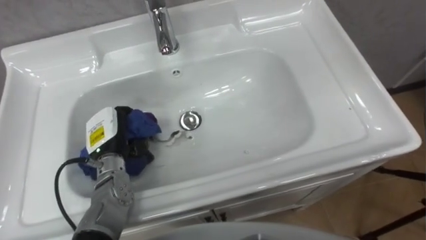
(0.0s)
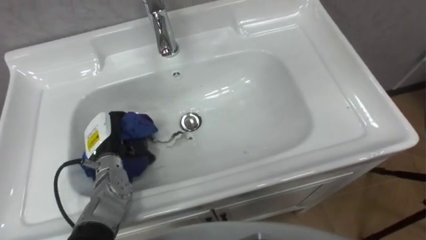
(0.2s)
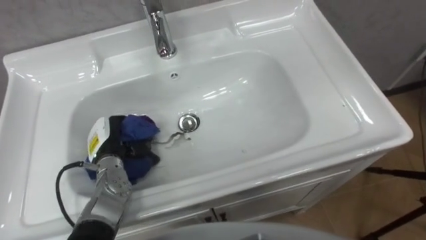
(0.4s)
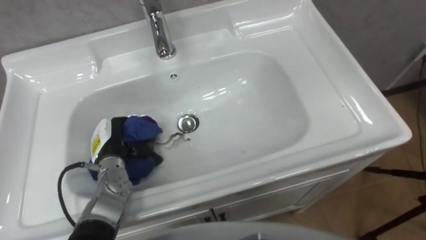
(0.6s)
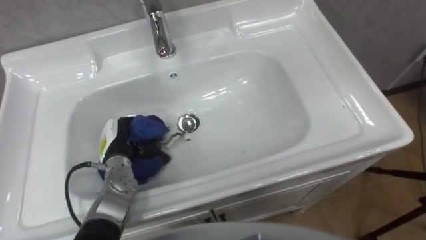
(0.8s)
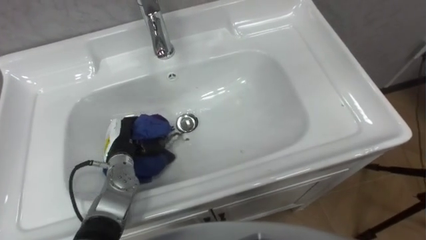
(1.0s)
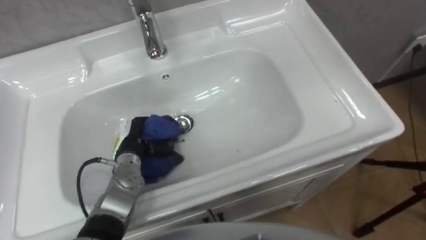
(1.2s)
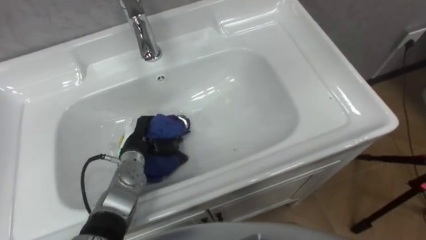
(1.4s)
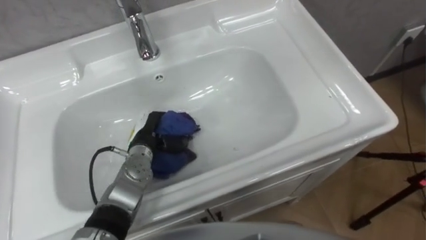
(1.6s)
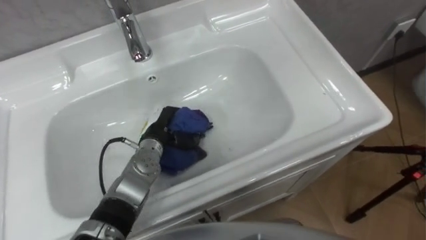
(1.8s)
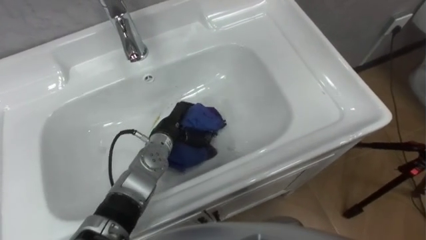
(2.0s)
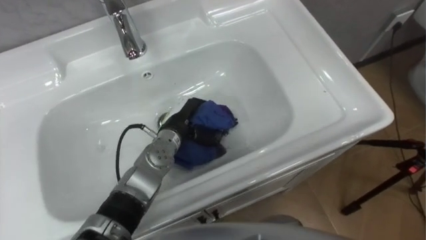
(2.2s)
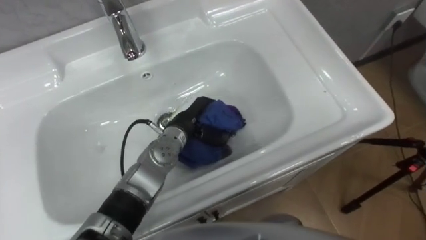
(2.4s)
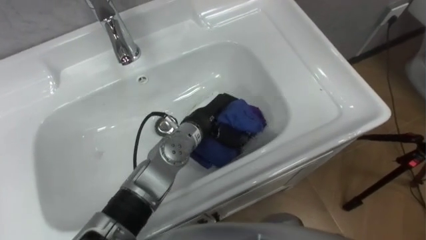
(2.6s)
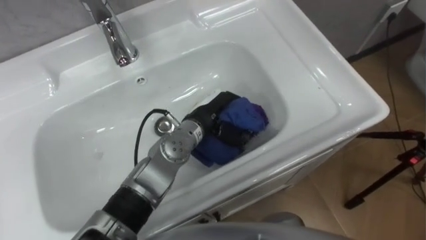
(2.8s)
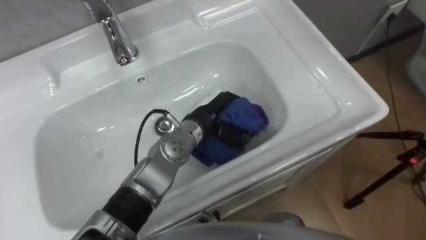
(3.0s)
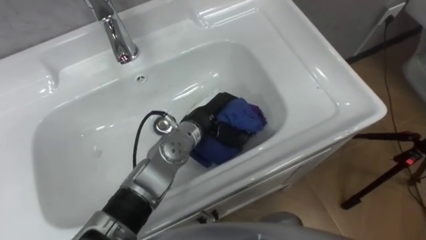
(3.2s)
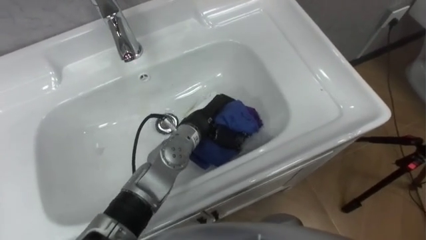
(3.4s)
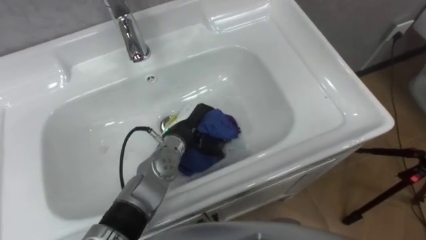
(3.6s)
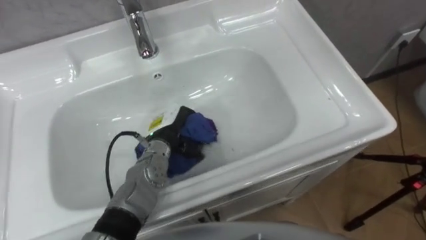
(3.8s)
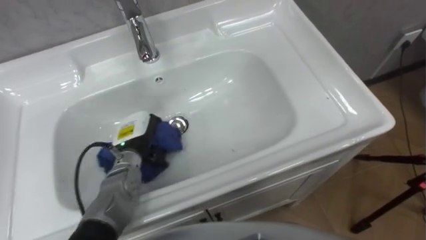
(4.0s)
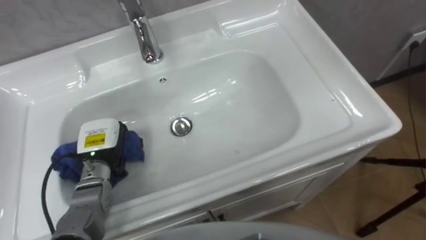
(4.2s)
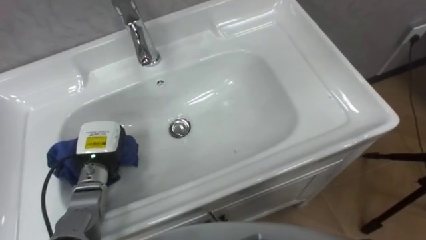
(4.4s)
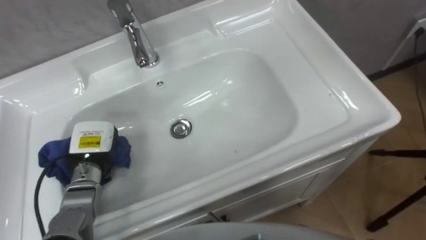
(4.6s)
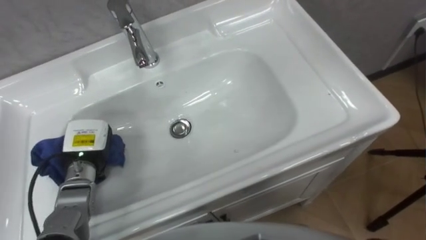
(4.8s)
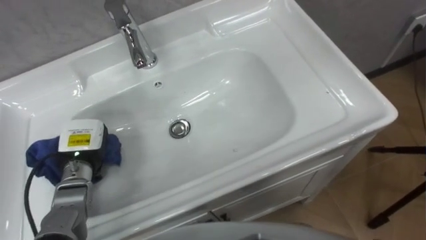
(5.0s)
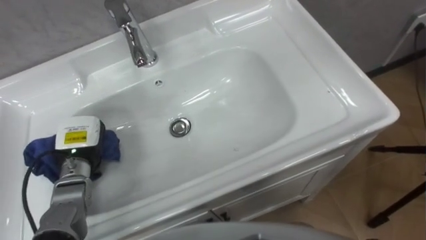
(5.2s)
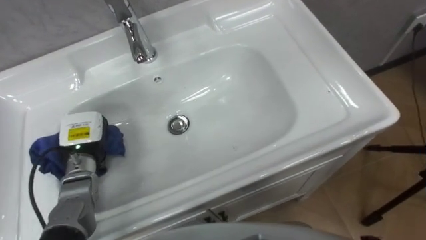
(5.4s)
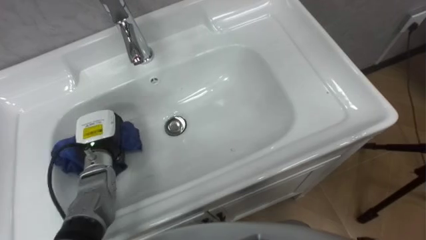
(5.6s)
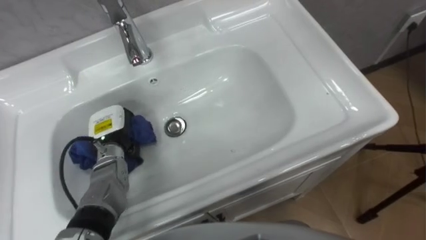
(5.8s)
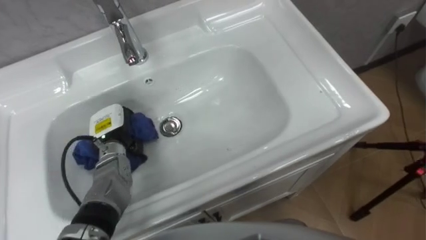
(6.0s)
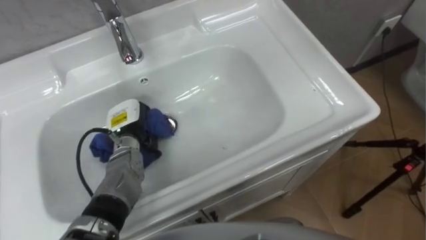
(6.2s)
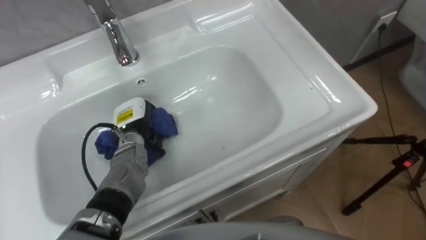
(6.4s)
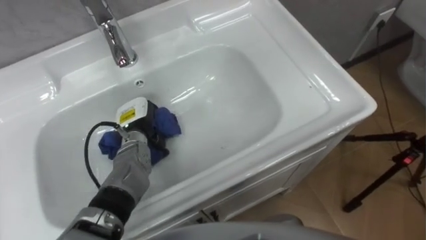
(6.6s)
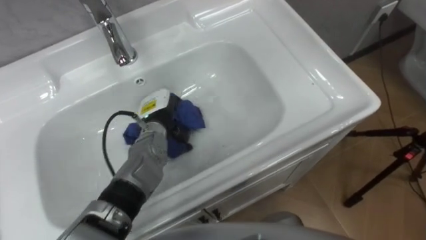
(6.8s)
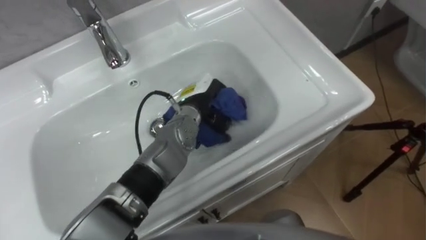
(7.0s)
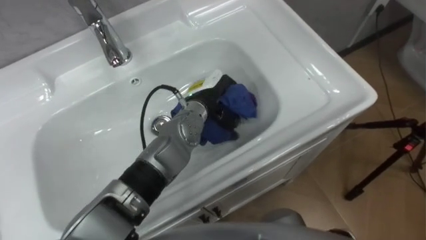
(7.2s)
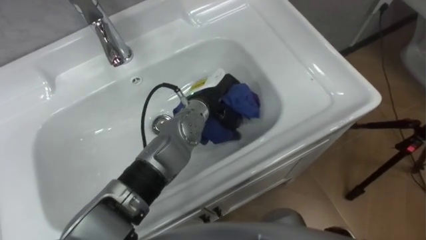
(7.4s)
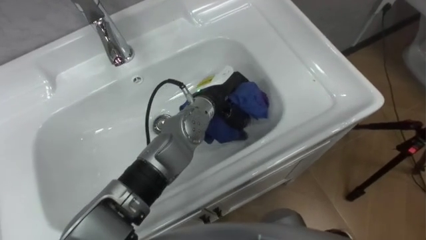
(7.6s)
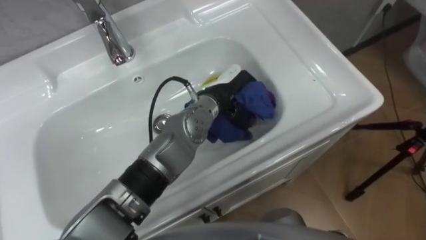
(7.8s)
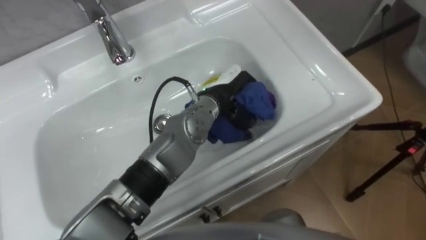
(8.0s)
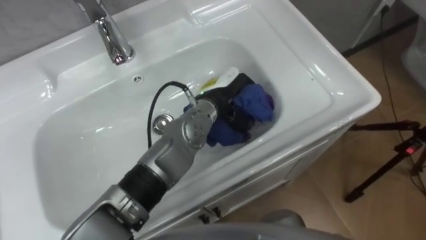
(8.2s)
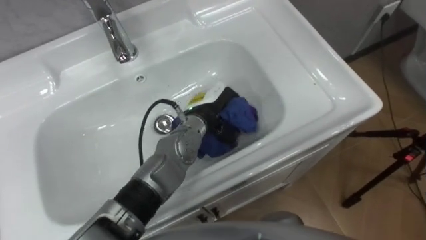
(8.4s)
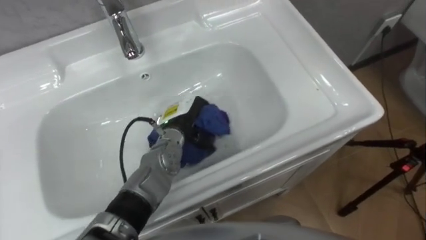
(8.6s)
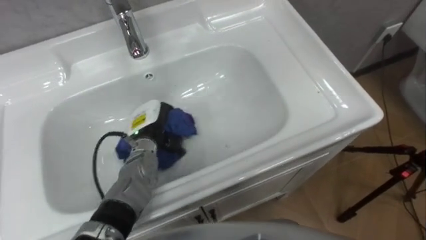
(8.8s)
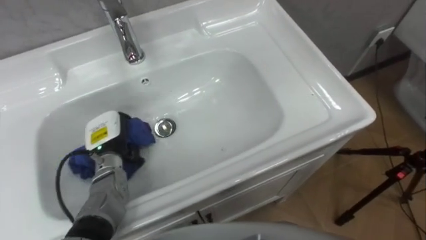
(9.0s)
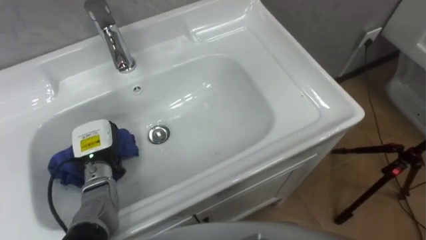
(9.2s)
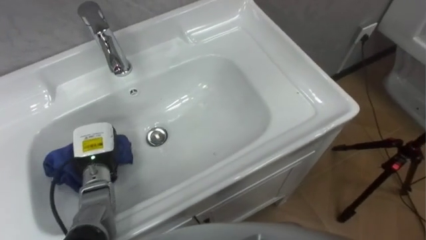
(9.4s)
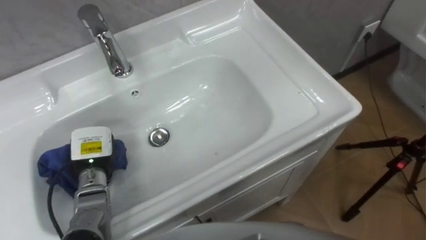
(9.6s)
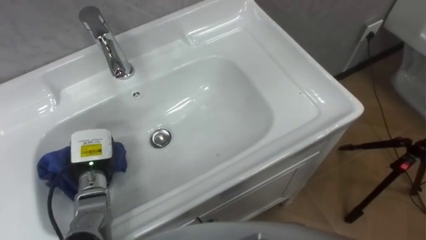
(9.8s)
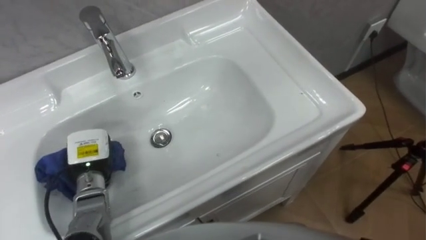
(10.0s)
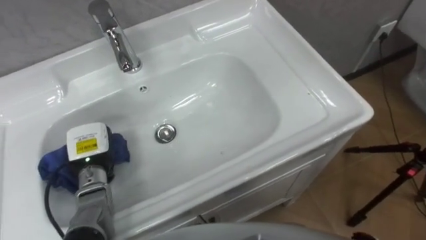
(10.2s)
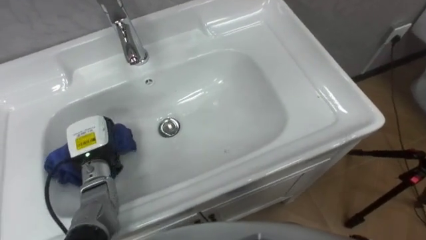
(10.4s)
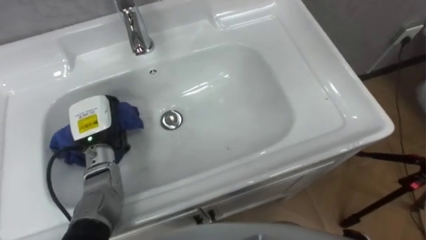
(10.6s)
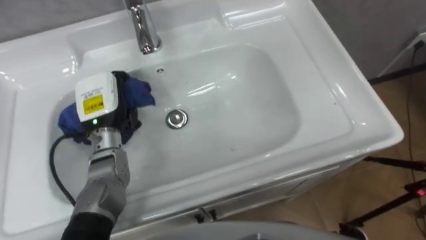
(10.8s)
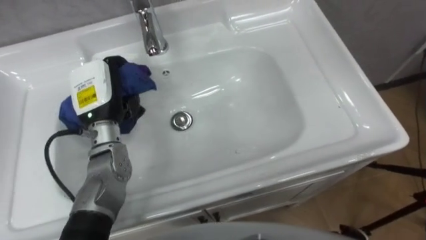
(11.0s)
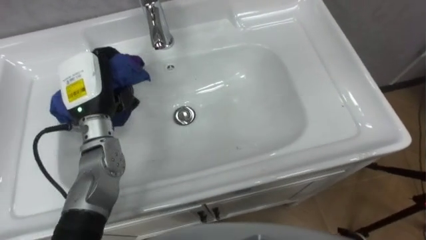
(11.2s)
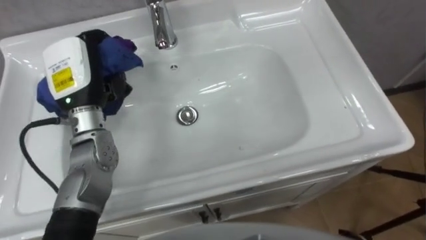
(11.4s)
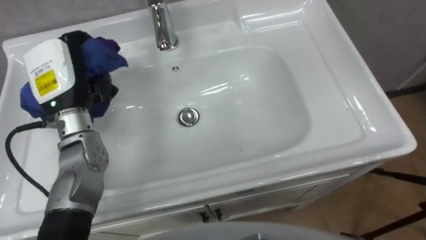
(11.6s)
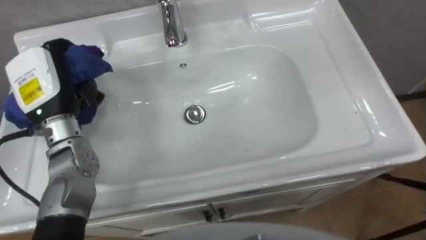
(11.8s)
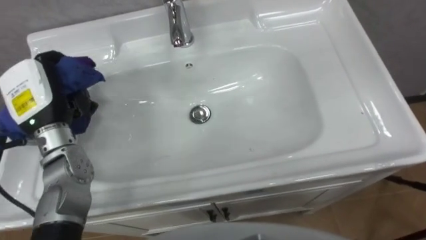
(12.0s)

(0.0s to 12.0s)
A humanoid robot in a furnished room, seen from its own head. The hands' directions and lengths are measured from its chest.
Task of the whole recording: Use the cloth on the right to wipe away the black stain in the sink.
0.0s - 1.6s: The left hand travels to the right by some 5 cm.
1.6s - 3.0s: The left hand moves to the right and upward, approximately 15 cm.
3.0s - 4.4s: The left hand moves to the left, approximately 25 cm.
6.0s - 7.6s: The left hand heads to the right, covering some 25 cm.
7.6s - 9.0s: The left hand is displaced to the left by approximately 25 cm.
10.4s - 12.0s: The left hand goes about 15 cm upward.

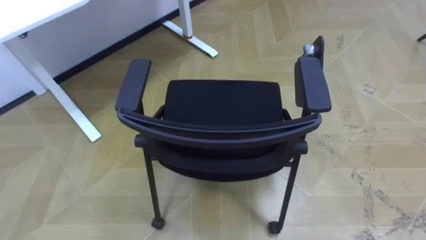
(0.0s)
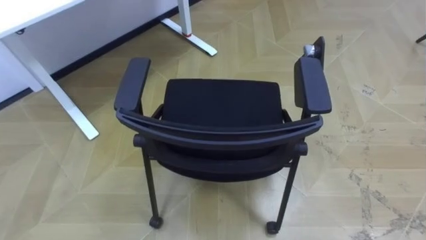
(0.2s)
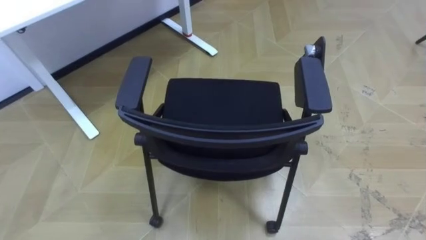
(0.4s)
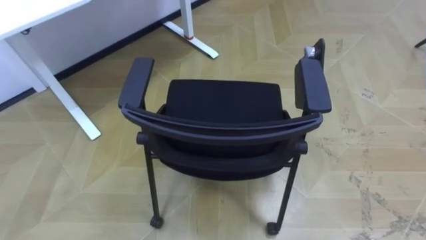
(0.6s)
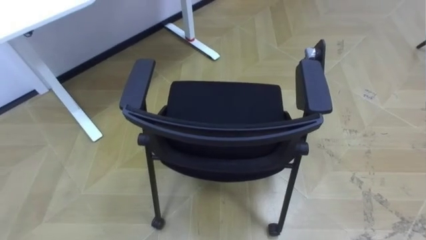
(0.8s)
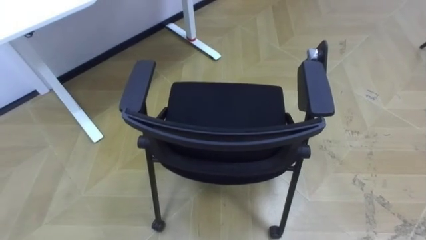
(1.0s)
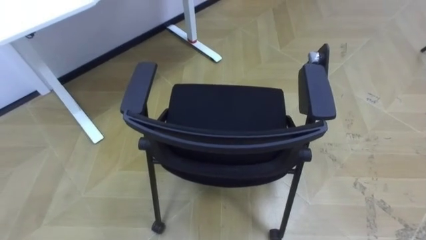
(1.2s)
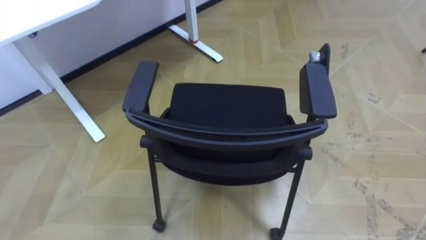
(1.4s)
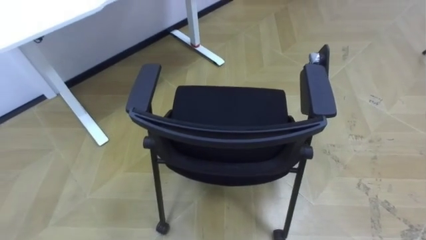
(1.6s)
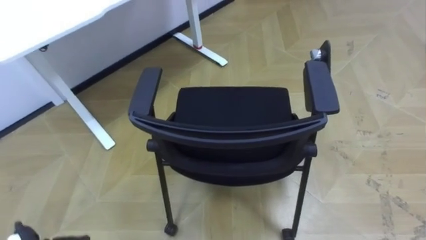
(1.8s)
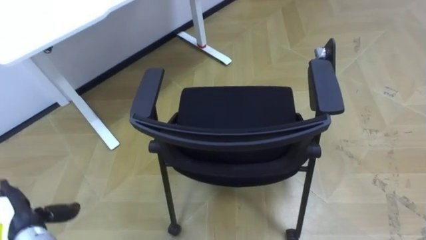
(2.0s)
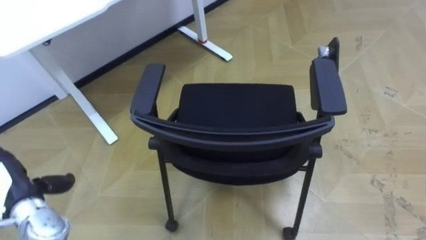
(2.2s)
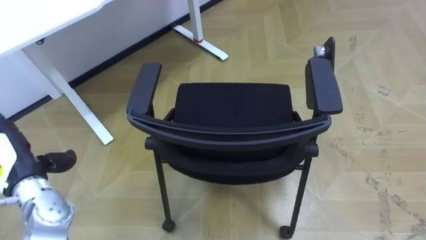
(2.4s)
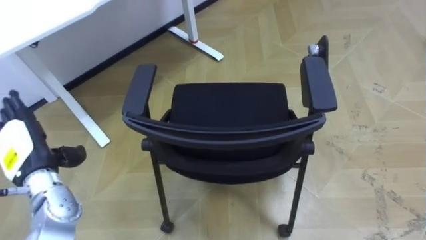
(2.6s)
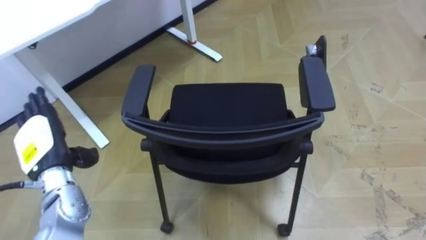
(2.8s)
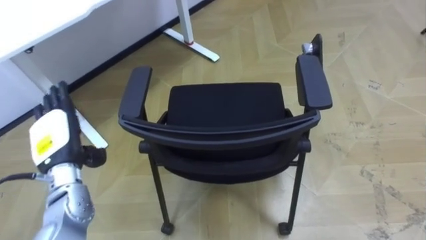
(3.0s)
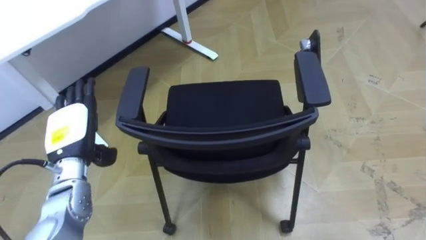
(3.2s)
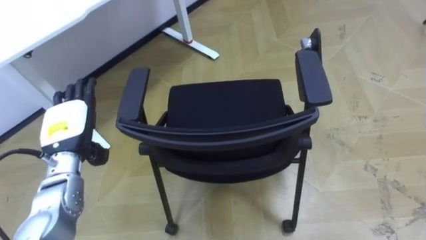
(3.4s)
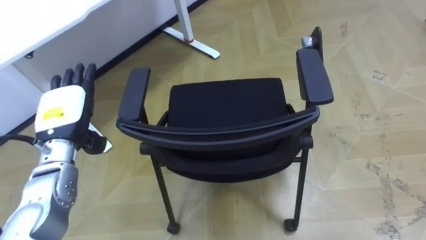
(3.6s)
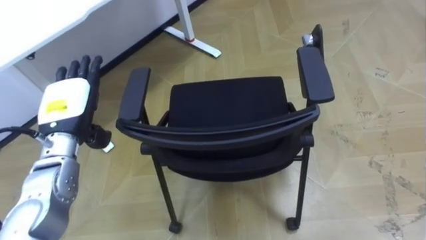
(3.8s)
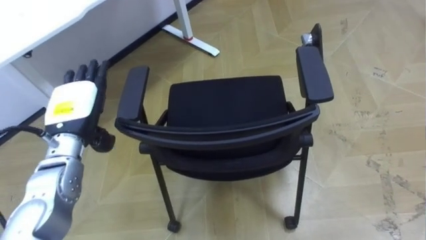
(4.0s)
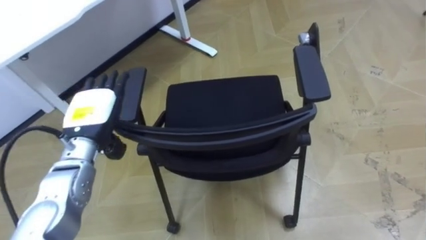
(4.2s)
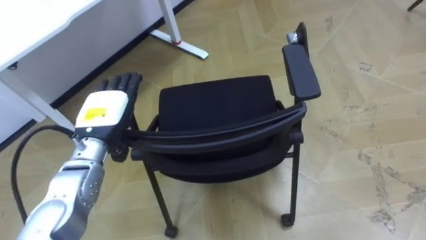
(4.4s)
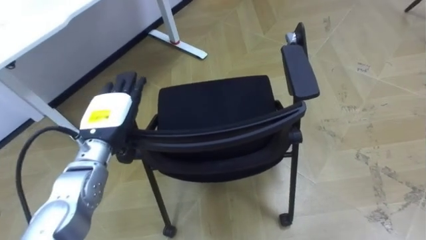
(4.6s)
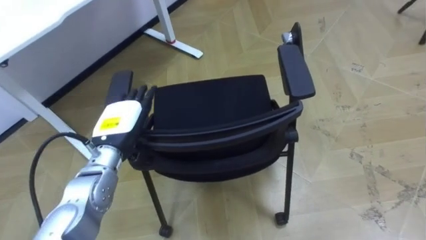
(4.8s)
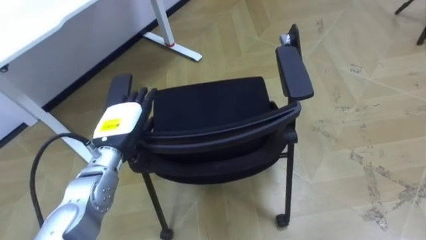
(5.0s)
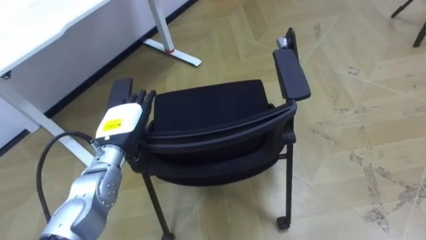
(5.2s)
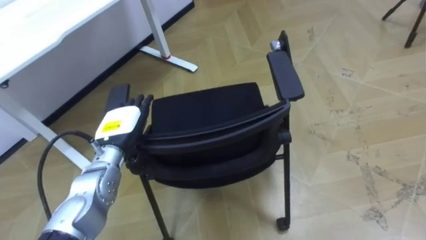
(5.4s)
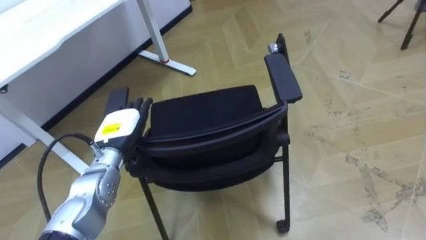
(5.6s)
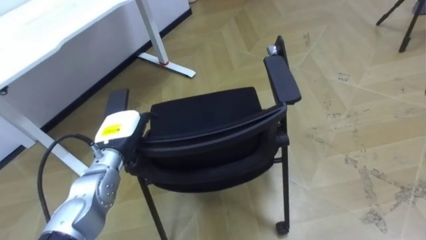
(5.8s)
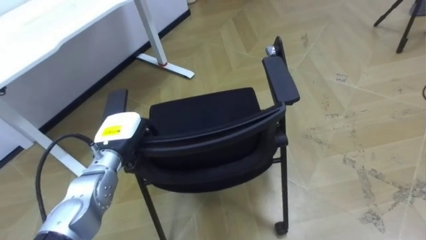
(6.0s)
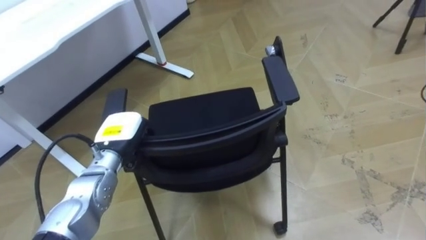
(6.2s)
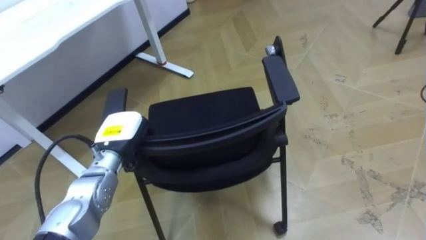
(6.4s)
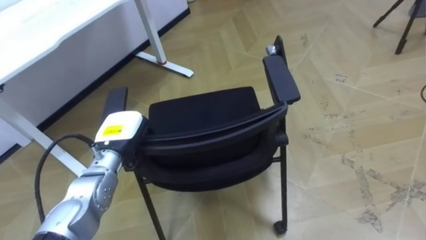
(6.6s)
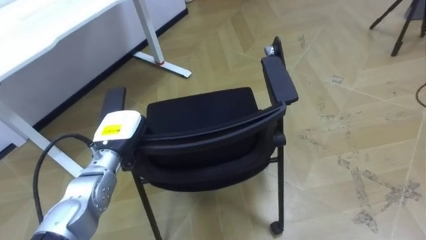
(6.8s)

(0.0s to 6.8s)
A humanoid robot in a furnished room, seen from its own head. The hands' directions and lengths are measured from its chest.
Task of the whole recording: Push the chair under the table.
2.8s - 4.0s: The left hand is displaced to the right by approximately 5 cm.
4.0s - 5.4s: The left hand is displaced downward and to the right by approximately 10 cm.
5.4s - 6.8s: The left hand closes up.
